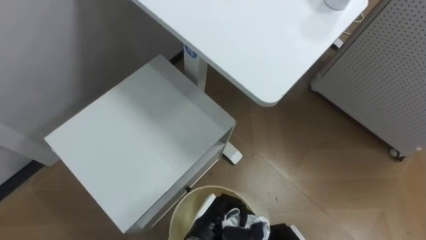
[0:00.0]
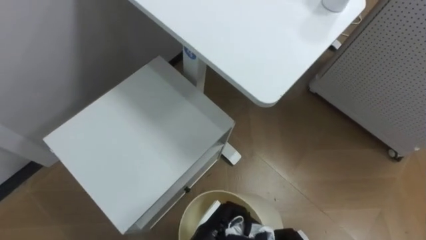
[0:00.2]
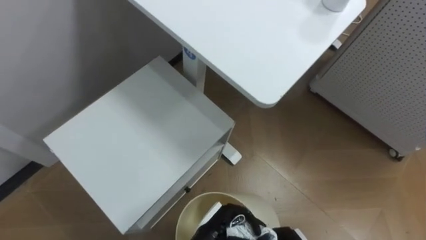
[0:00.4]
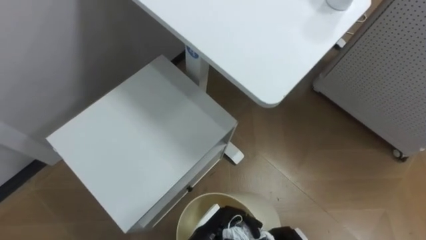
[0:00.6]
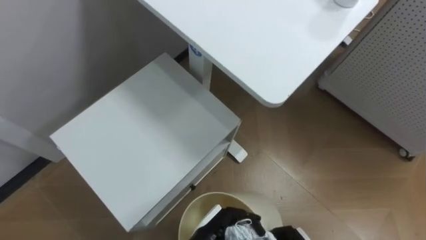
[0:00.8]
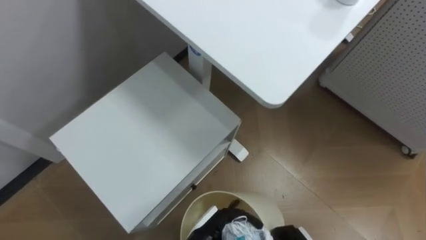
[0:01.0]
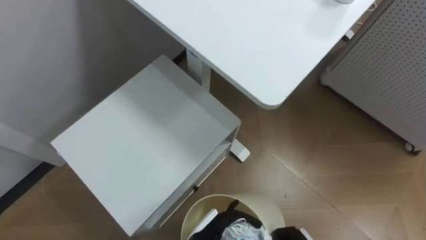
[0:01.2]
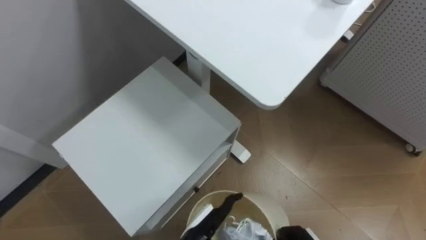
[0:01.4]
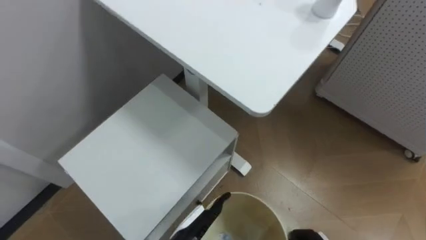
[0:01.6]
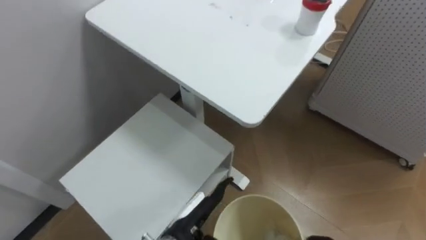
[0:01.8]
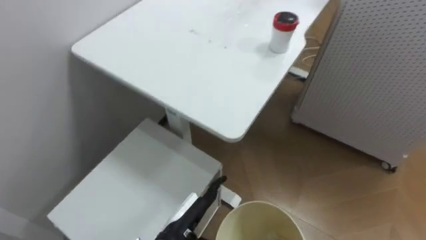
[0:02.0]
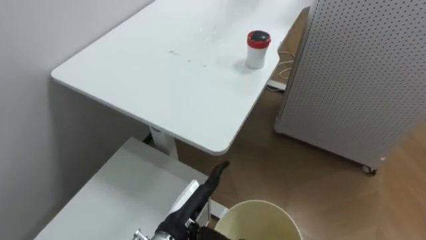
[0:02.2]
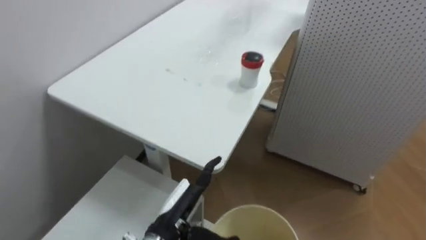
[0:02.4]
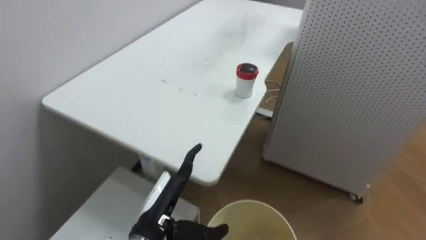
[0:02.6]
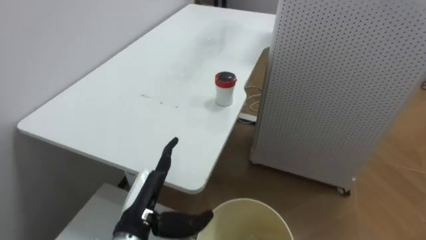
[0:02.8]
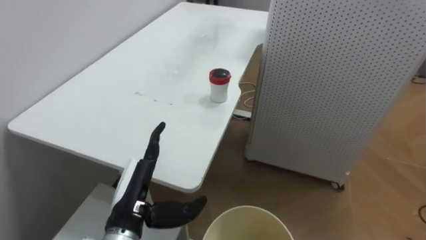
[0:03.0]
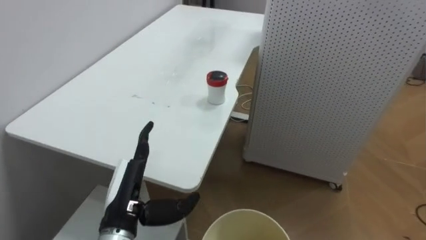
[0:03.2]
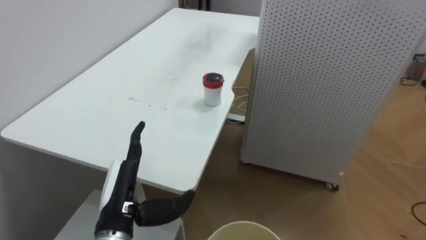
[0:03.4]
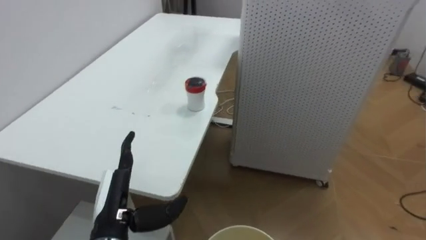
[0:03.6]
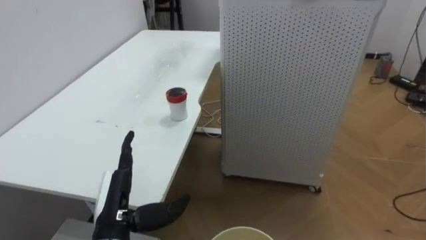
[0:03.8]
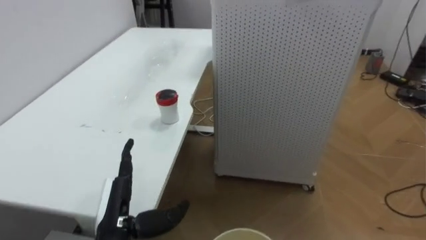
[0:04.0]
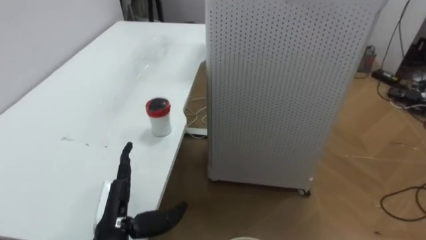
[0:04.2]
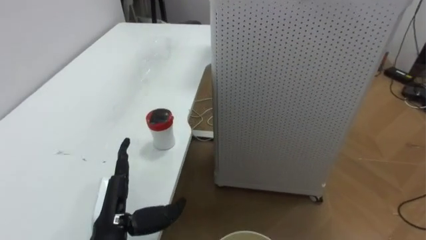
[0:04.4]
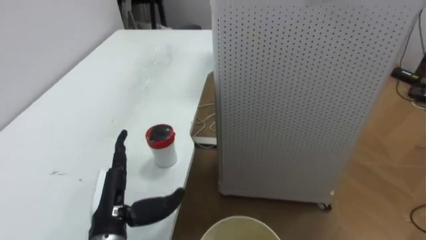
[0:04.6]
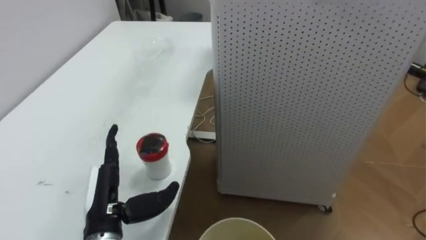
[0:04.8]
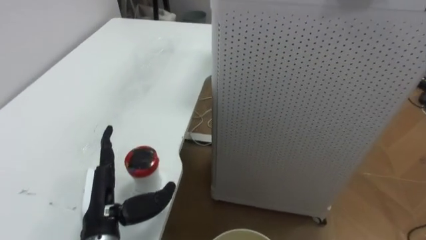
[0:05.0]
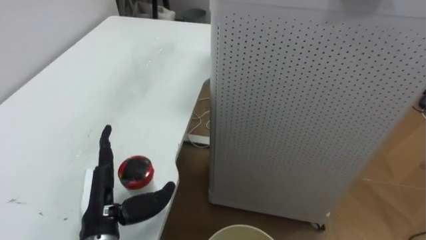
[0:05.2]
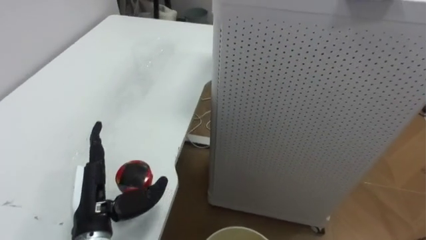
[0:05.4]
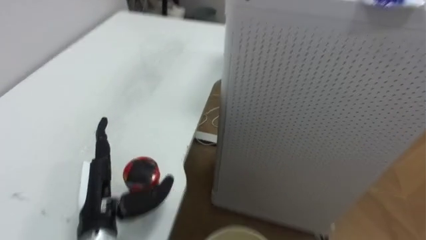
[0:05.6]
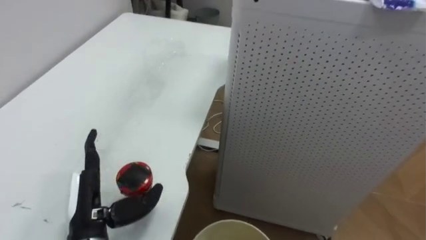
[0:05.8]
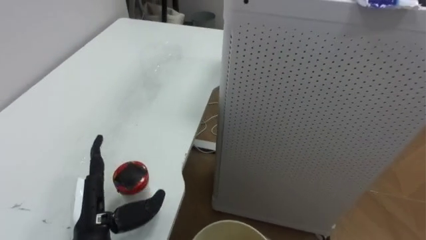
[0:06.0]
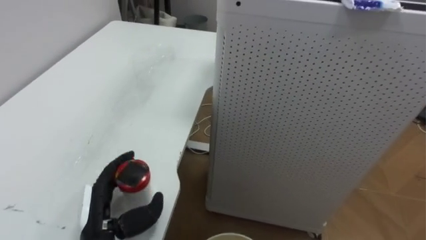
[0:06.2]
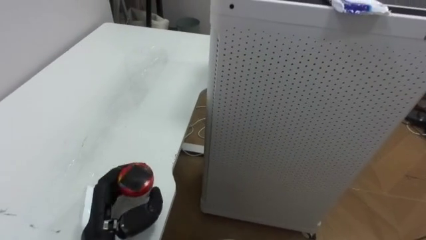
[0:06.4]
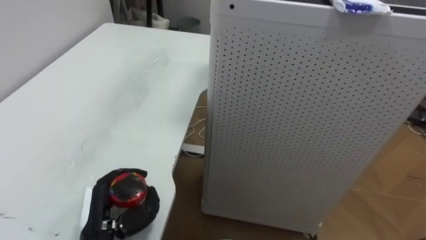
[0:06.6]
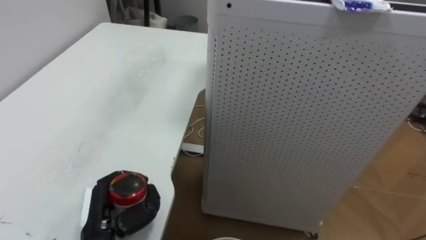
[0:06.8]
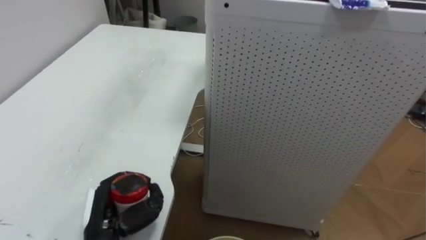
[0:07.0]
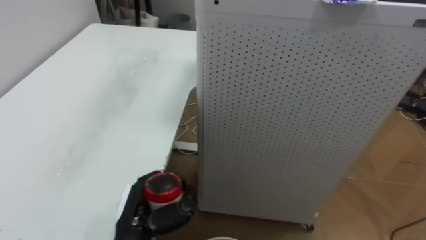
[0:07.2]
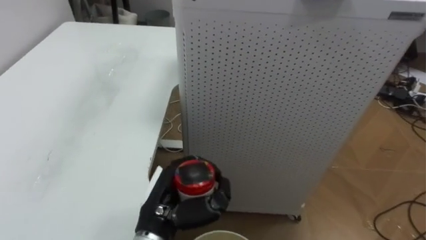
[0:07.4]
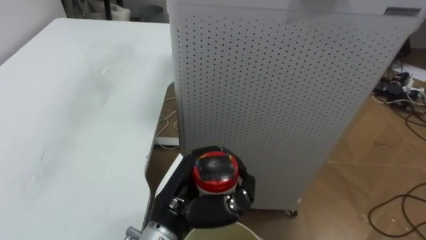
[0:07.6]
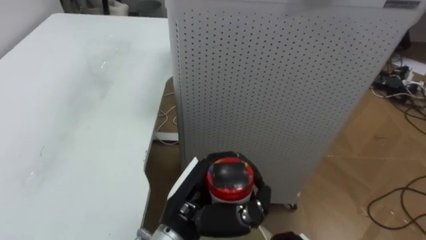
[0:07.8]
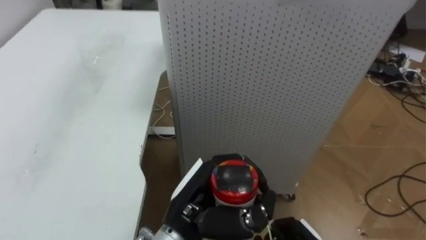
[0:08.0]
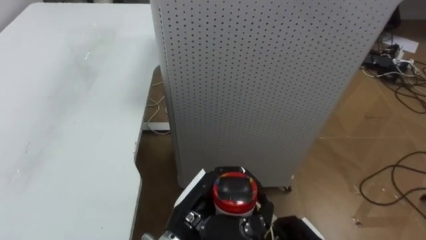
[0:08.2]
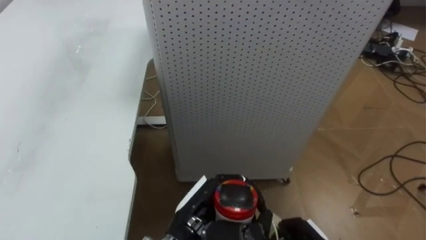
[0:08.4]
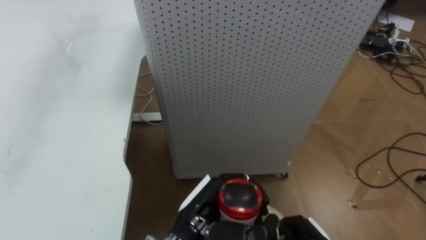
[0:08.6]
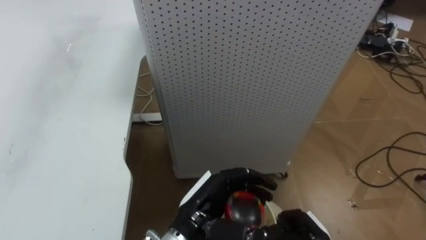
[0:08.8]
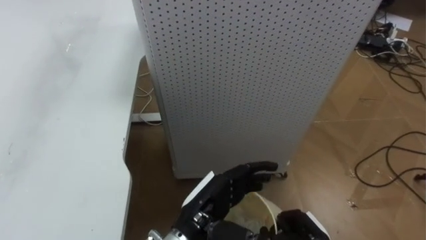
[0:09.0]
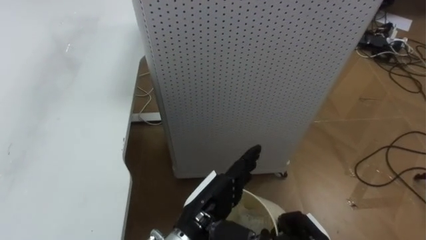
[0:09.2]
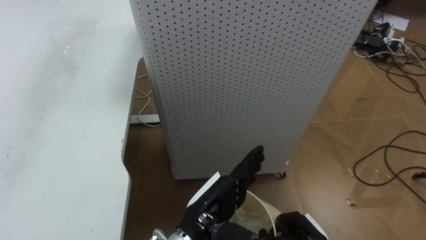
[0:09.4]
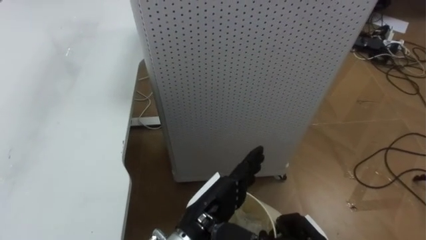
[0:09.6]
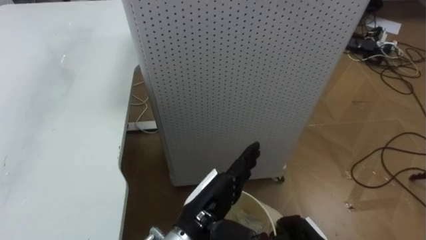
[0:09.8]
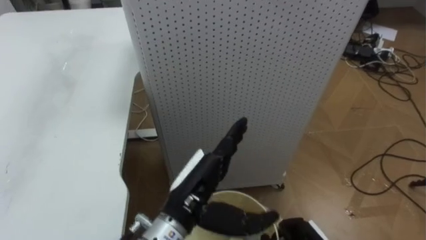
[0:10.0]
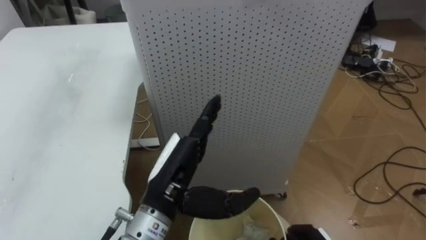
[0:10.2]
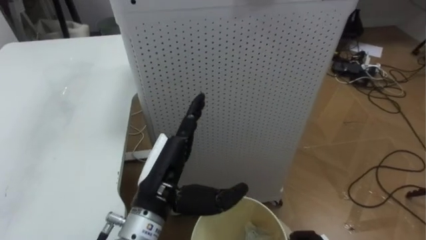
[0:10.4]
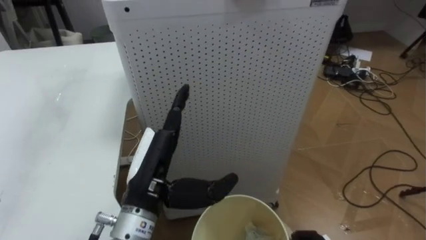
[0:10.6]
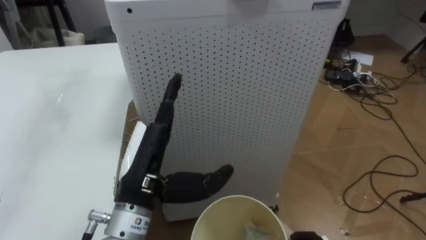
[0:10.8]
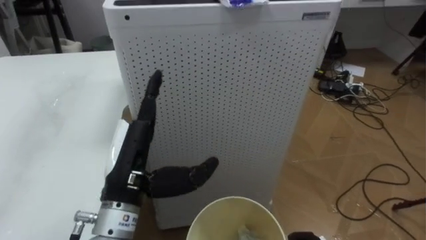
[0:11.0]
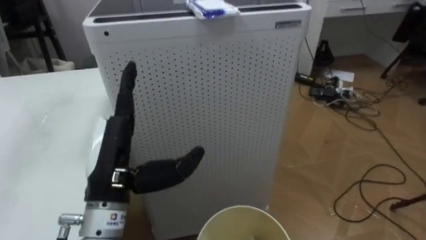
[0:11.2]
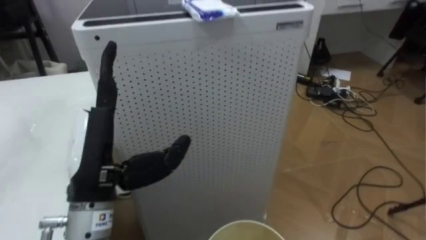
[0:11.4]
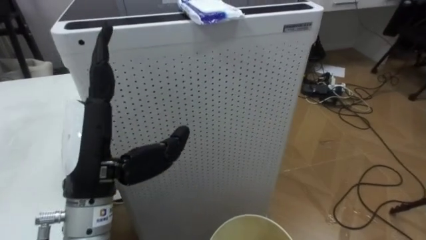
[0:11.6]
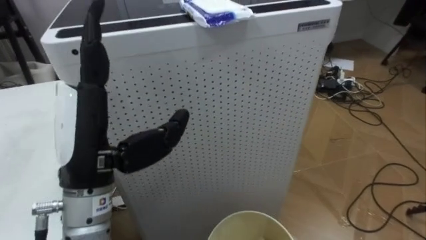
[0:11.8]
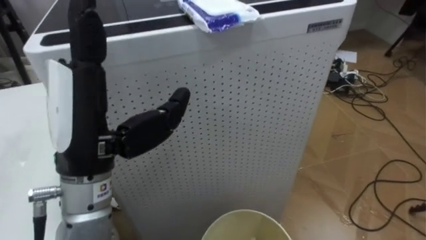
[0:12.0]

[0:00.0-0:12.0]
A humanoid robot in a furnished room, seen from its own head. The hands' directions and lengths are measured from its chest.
Task of the whole recording: Pick up the light blue package, the candy box, and the dark blue package separately, and put them into the trash can held in your right hand.
0:00.0 to 0:01.6: The left hand opens up.
0:01.6 to 0:03.0: The robot turns to its right by approximately 25 degrees. The left hand shifts approximately 15 cm upward and to the left.
0:03.0 to 0:04.4: The left hand moves approximately 5 cm.
0:06.0 to 0:07.6: The left hand moves to the right, roughly 15 cm, and closes its fingers.
0:07.6 to 0:09.0: The left hand shifts by roughly 5 cm, and opens up.
0:09.0 to 0:10.4: The left hand travels to the left and upward by approximately 10 cm.
0:10.4 to 0:12.0: The left hand moves upward and to the left, roughly 15 cm.

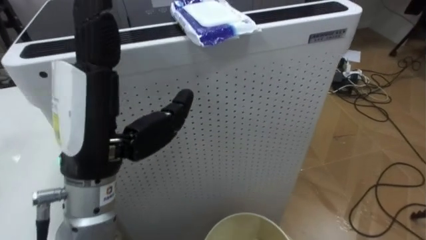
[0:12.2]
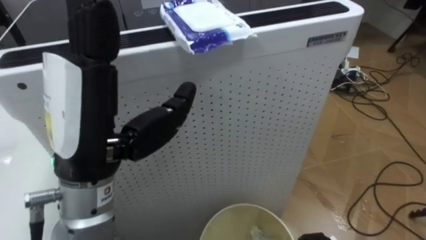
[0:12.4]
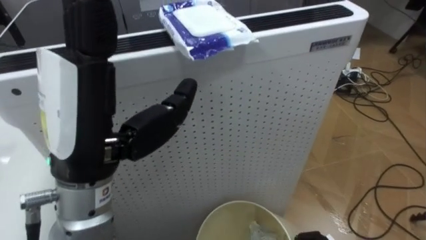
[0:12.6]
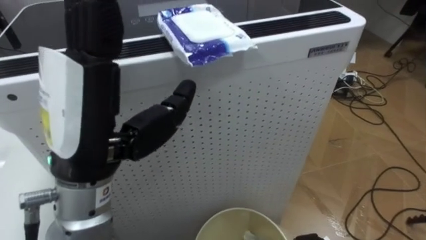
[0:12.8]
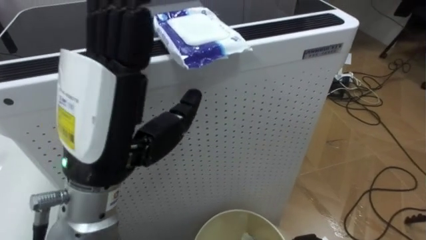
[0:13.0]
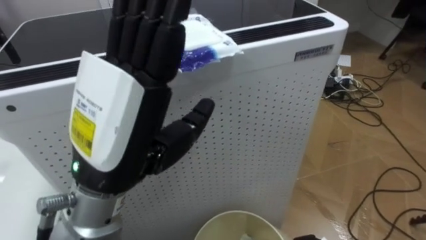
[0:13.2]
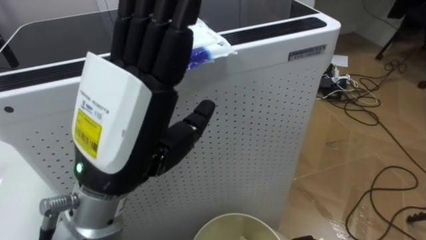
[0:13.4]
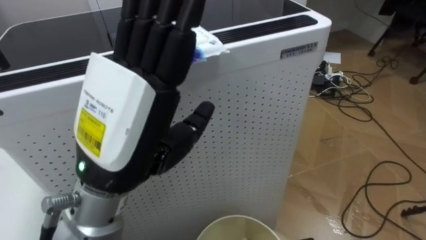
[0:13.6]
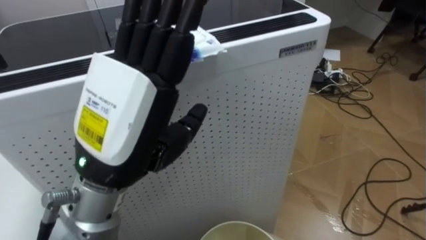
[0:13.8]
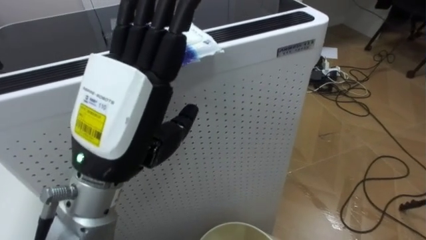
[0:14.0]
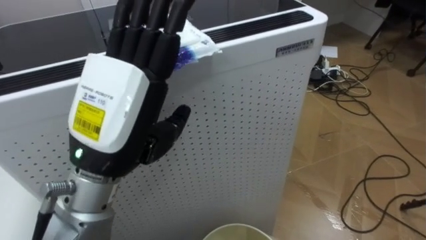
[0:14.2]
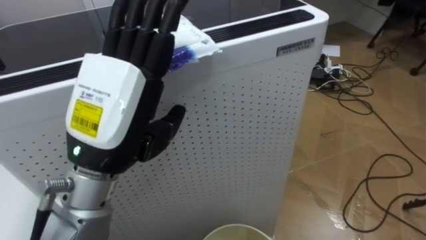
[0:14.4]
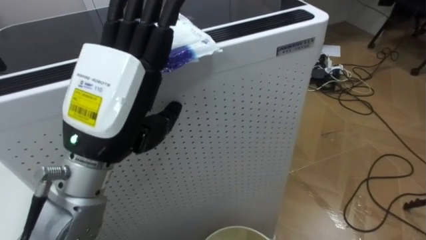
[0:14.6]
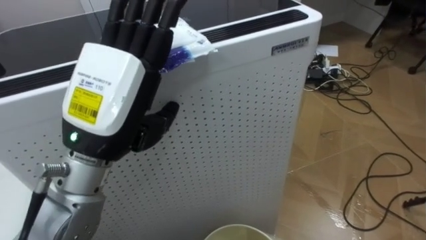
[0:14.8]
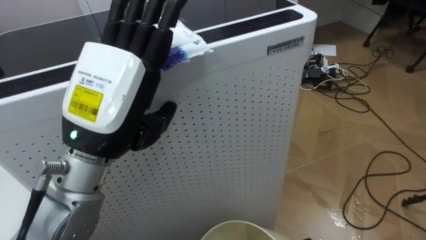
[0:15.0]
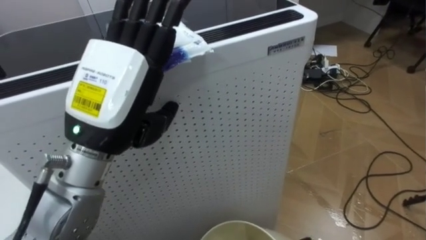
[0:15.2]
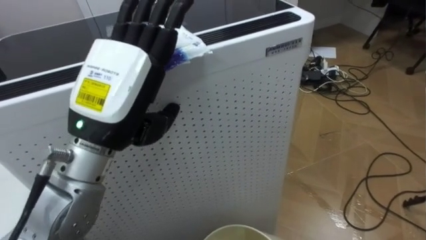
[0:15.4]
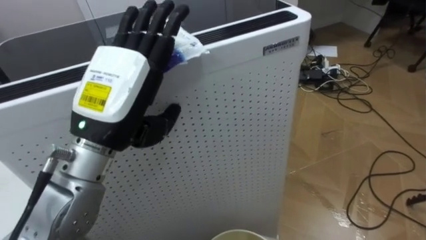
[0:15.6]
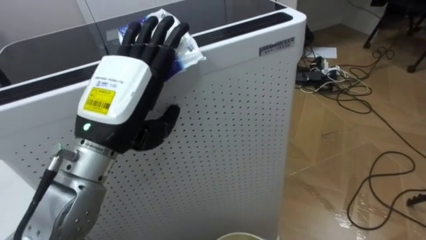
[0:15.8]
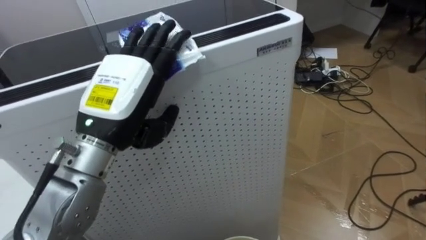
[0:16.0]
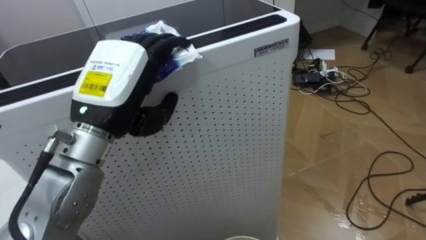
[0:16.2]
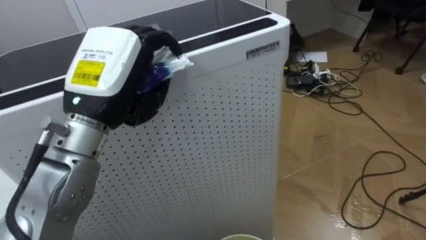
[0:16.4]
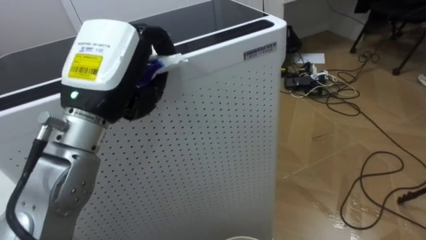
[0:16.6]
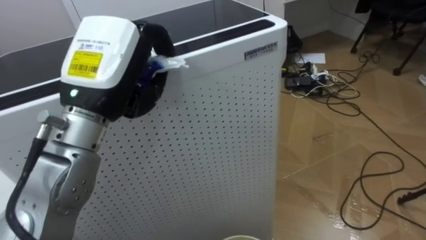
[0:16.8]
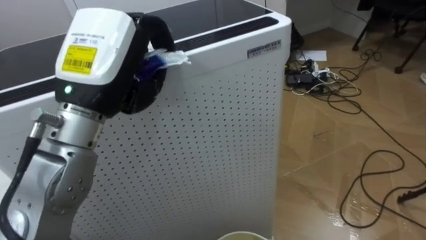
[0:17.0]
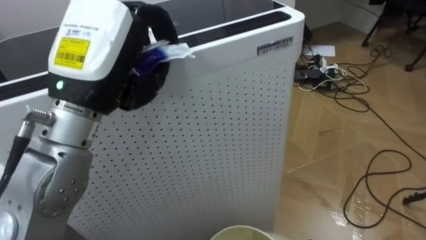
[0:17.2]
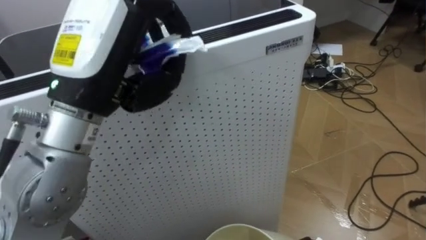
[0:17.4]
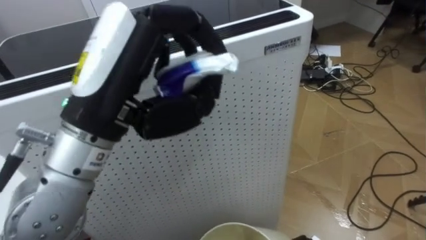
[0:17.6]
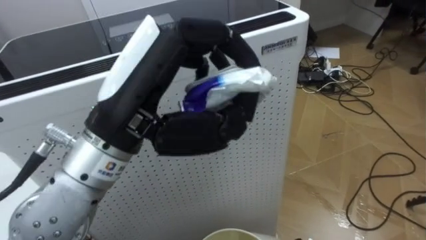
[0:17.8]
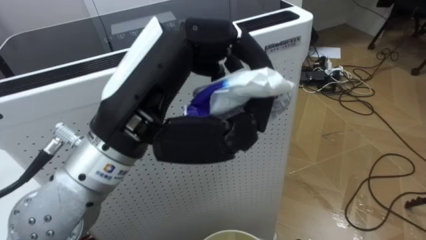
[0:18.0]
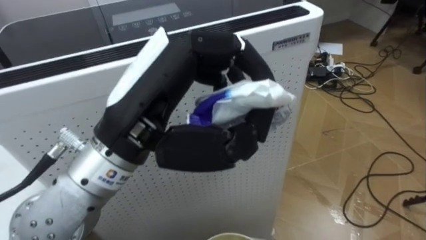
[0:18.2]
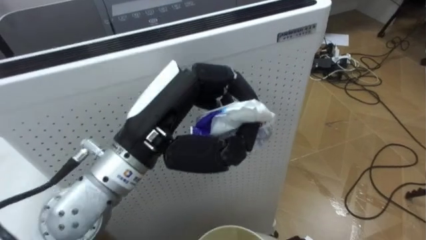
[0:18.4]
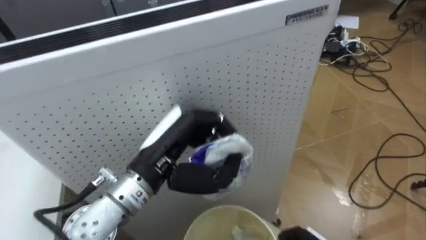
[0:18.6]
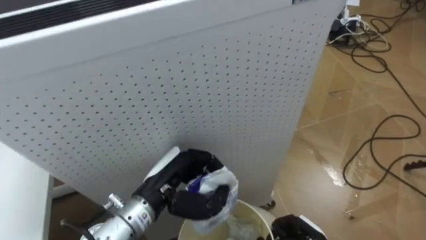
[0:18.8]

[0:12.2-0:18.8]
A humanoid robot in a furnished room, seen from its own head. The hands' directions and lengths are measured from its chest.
Task of the whole recording: Pick up the light blue package, the candy box, and the dark blue package separately, and put them into the trash can held in your right hand.
0:13.8 to 0:15.4: The left hand heads forward, covering roughly 5 cm.
0:15.4 to 0:17.2: The left hand closes its fingers.
0:17.2 to 0:18.8: The left hand moves downward, approximately 20 cm.
